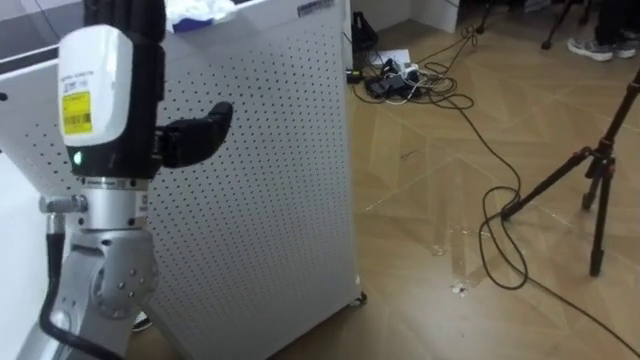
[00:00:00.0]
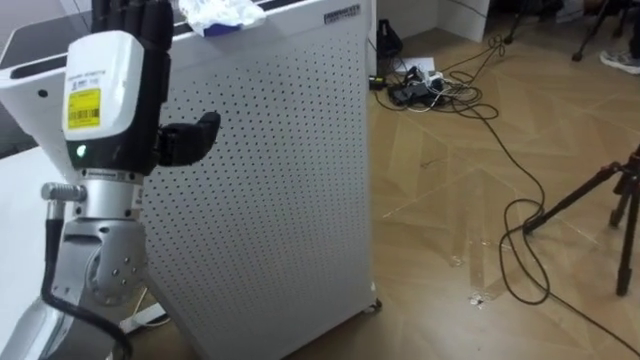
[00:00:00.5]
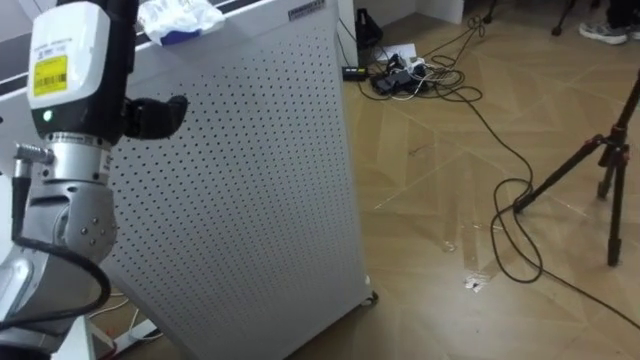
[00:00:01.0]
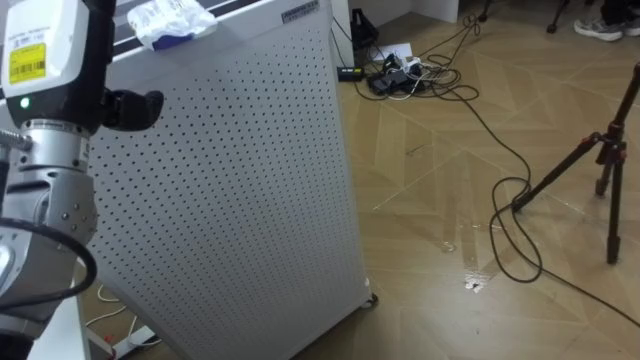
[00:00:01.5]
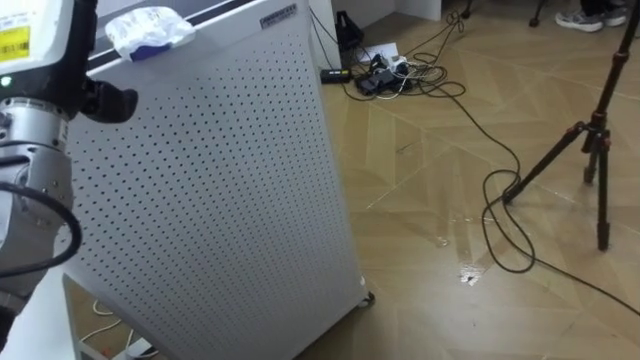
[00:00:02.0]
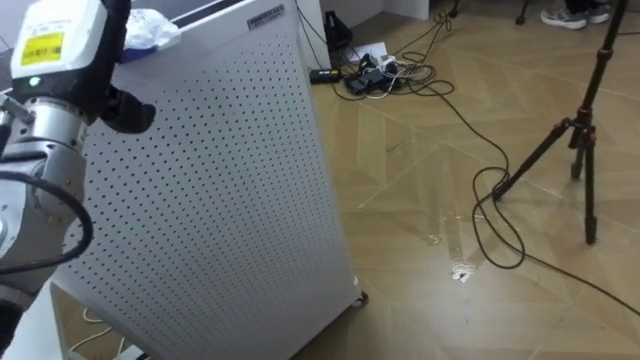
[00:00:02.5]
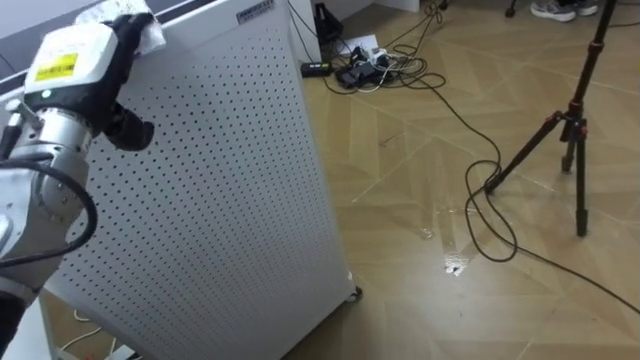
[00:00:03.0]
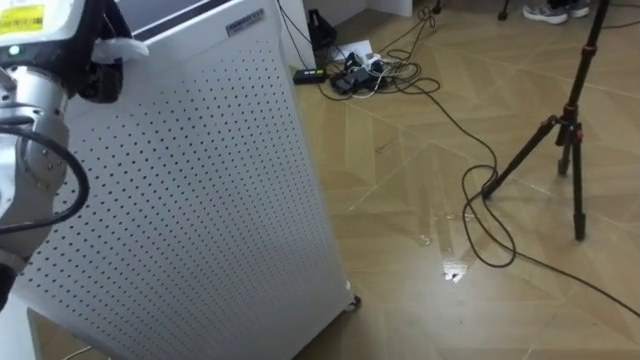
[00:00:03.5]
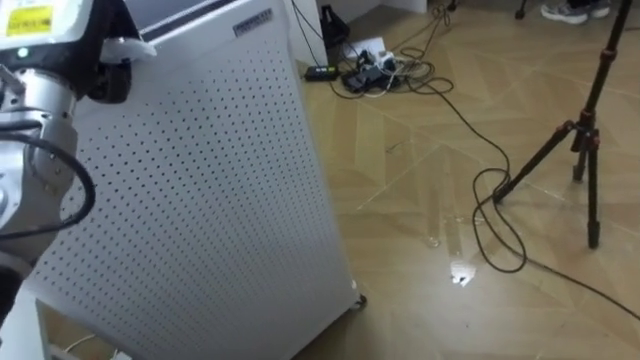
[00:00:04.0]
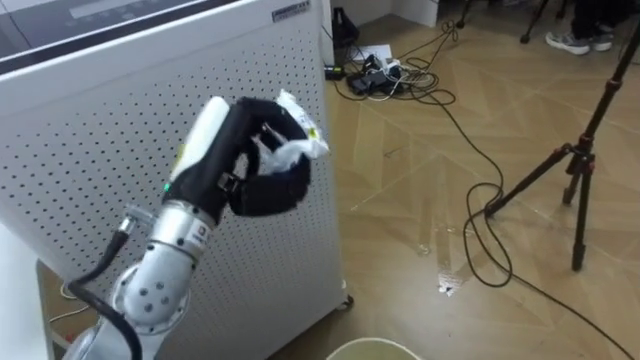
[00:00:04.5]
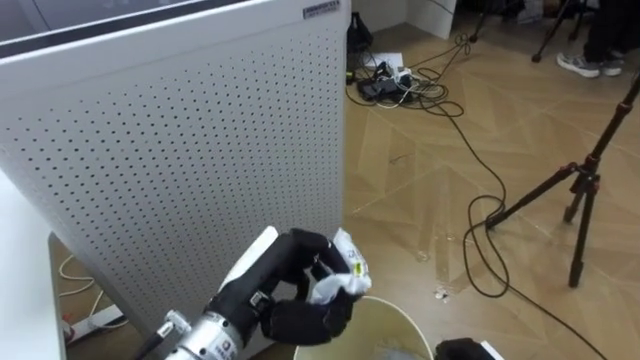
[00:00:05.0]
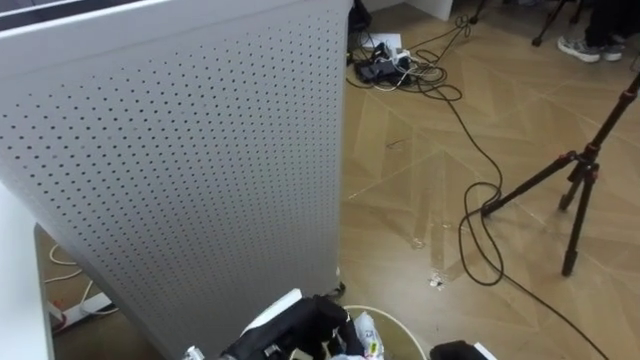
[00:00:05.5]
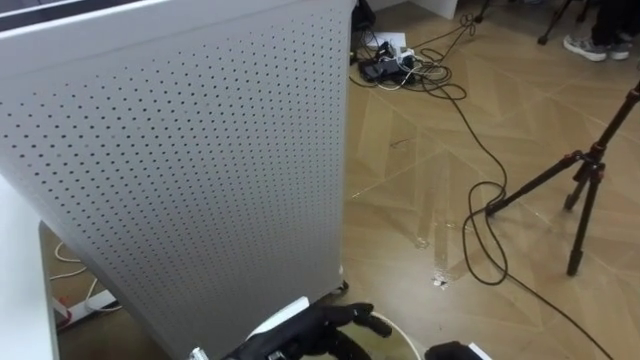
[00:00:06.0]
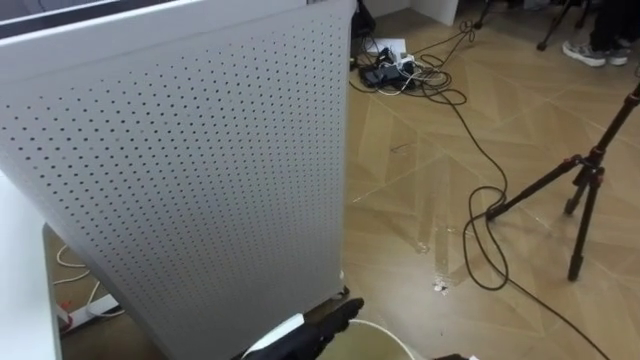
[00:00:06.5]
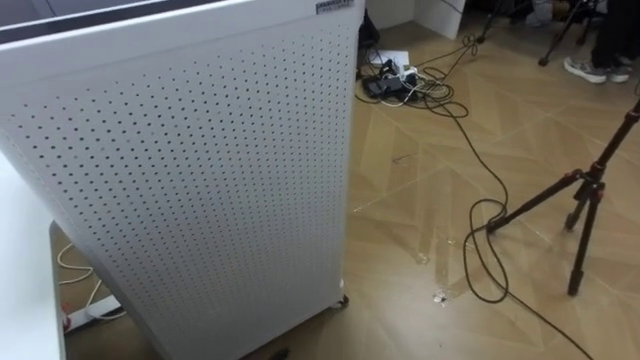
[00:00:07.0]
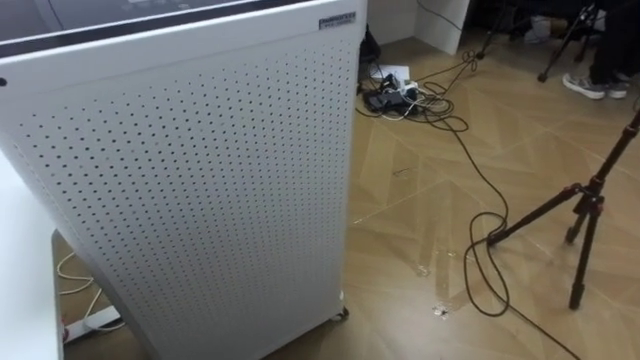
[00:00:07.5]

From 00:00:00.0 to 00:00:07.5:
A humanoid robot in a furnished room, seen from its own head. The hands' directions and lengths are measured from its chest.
Task of the whole recording: Pick up the light blue package, the candy box, and the dark blue package separately, and put them into the trash can held in your right hand.
From 00:00:00.0 to 00:00:02.0: The left hand heads to the left and forward, covering some 10 cm.
From 00:00:02.0 to 00:00:04.0: The left hand closes up.
From 00:00:04.0 to 00:00:05.5: The left hand travels downward, to the right and backward by roughly 35 cm.

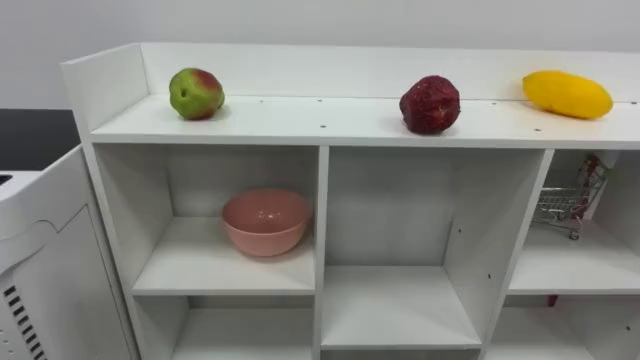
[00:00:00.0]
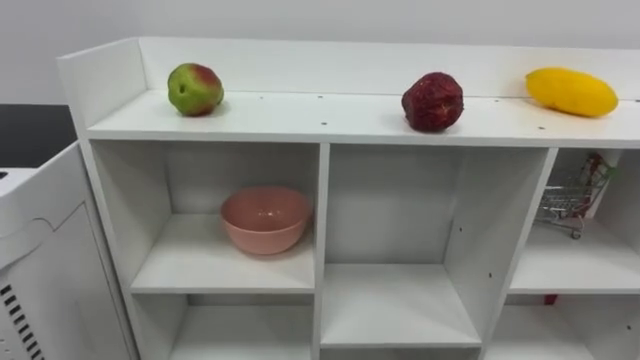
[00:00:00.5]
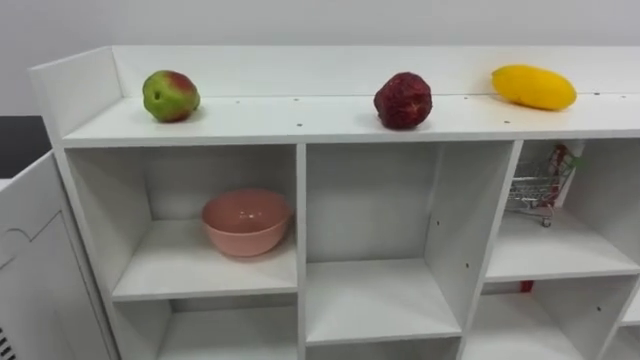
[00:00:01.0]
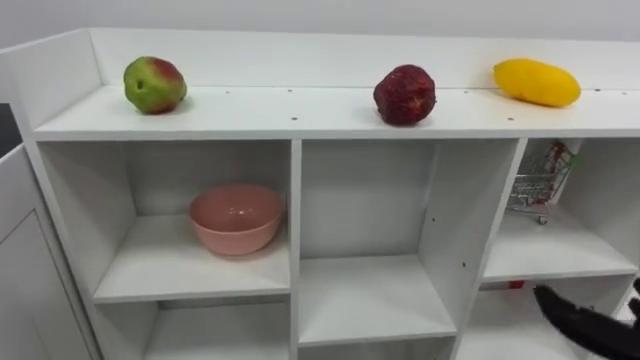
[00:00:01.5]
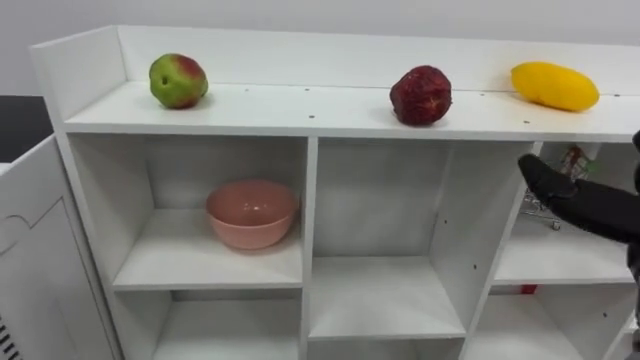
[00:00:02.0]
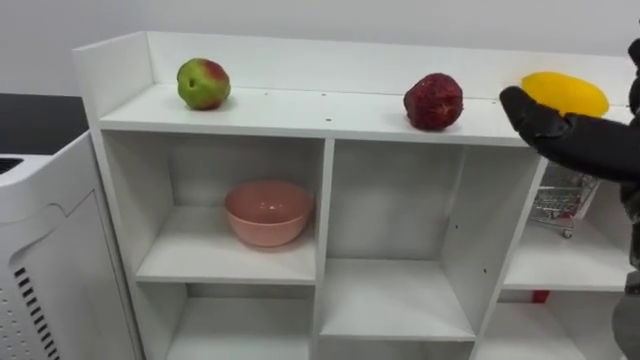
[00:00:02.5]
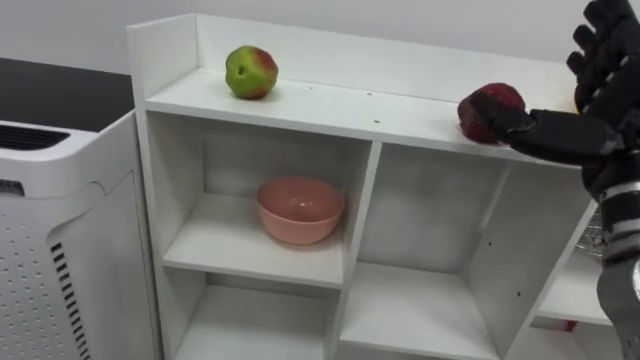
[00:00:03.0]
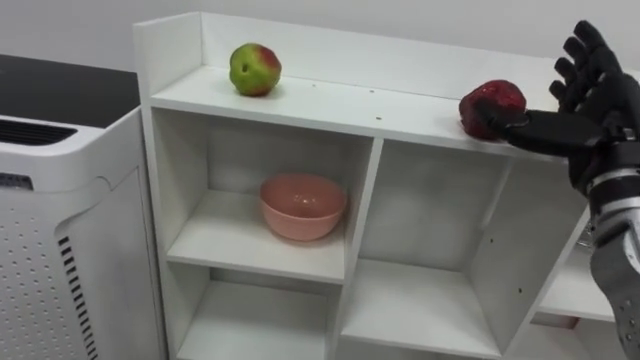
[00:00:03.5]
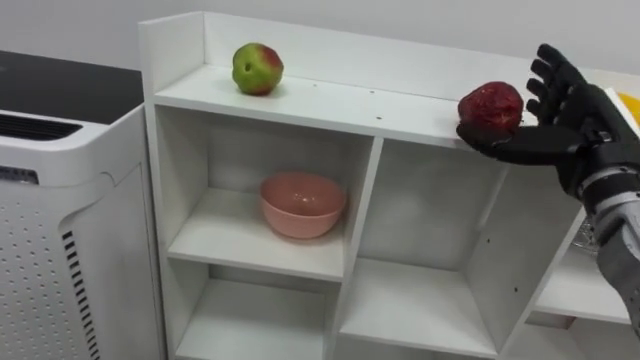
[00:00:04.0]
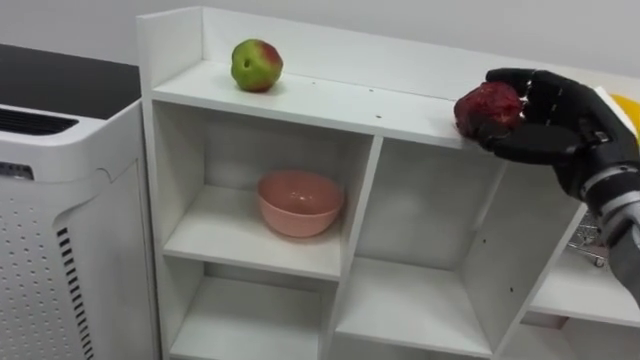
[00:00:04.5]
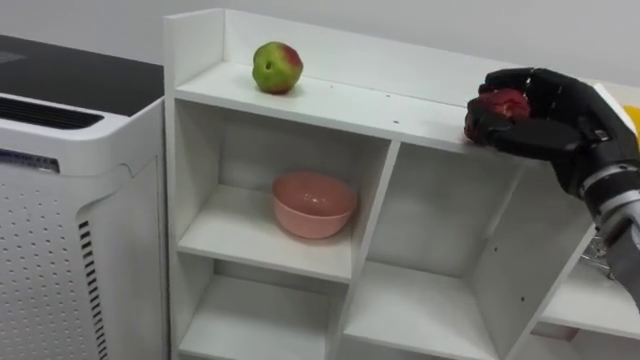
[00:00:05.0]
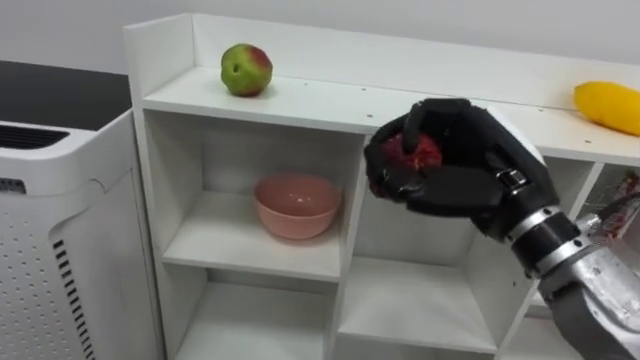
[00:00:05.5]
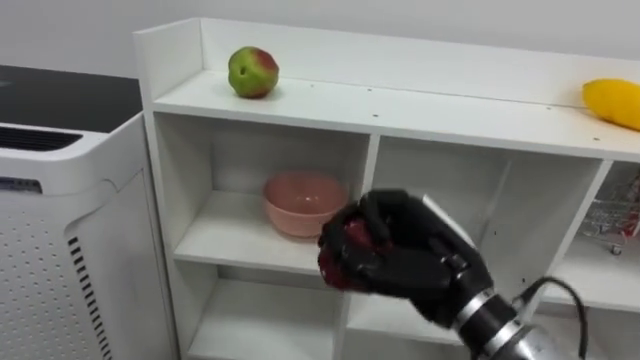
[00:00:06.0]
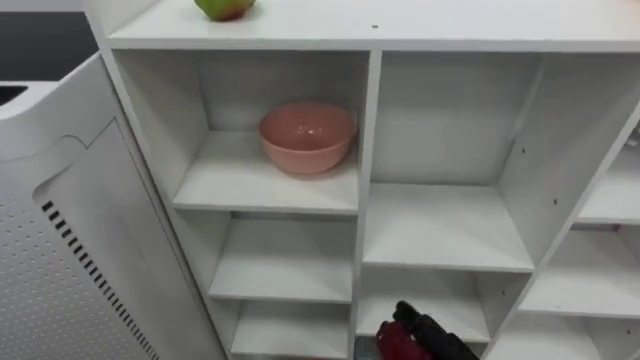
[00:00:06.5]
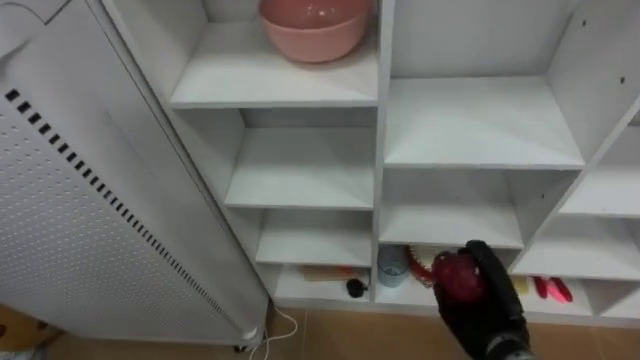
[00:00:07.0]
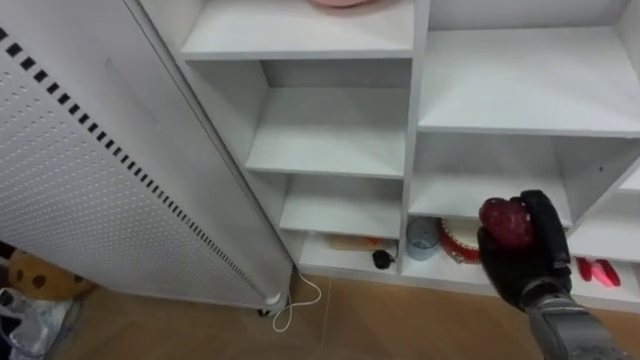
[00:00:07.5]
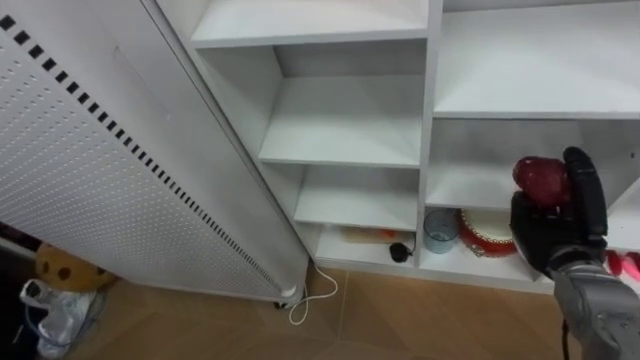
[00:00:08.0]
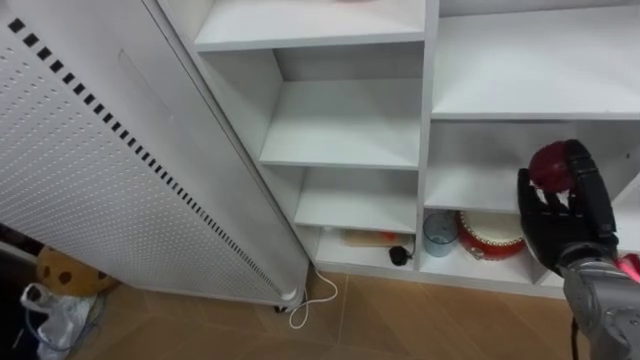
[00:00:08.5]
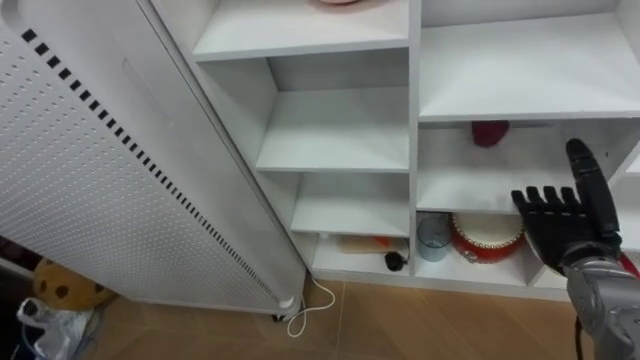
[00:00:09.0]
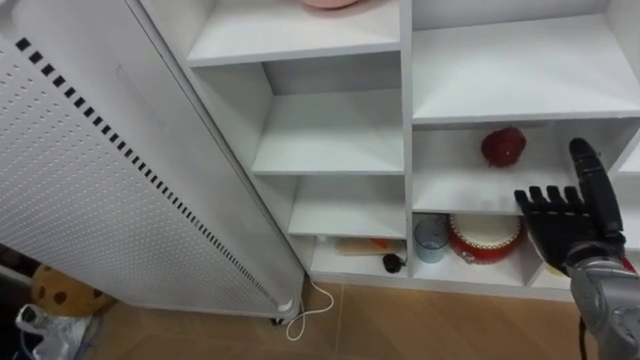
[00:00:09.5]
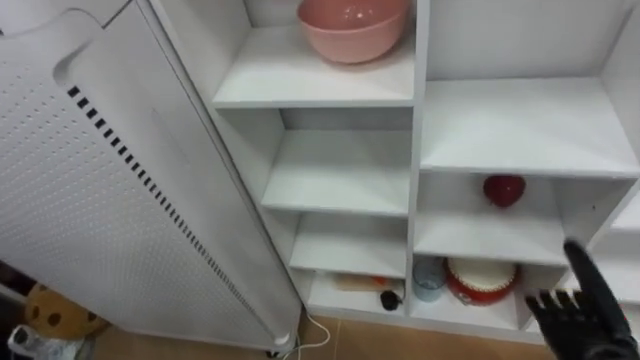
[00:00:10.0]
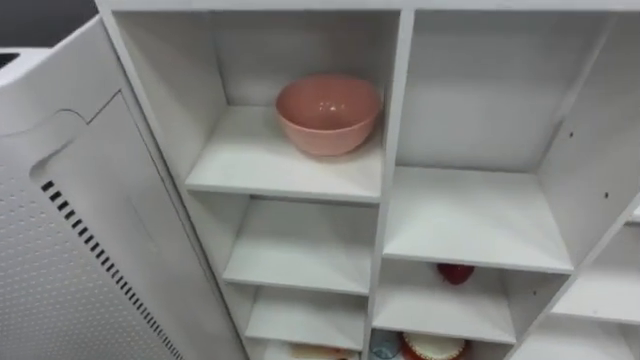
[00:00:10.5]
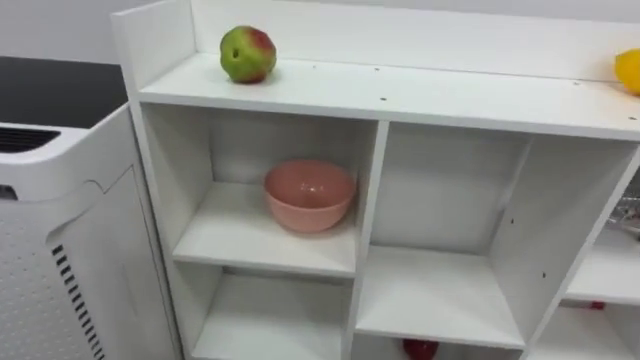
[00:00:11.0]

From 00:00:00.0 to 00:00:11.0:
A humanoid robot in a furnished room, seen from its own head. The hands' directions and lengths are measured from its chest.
Task of the whole recording: Put the apple in the cell in the second column from the left and the second row from the top.
From 00:00:03.5 to 00:00:05.5: The right hand heads to the left, covering about 10 cm, and closes its fingers.
From 00:00:07.5 to 00:00:09.0: The right hand ends up some 5 cm from where it was, and opens up.

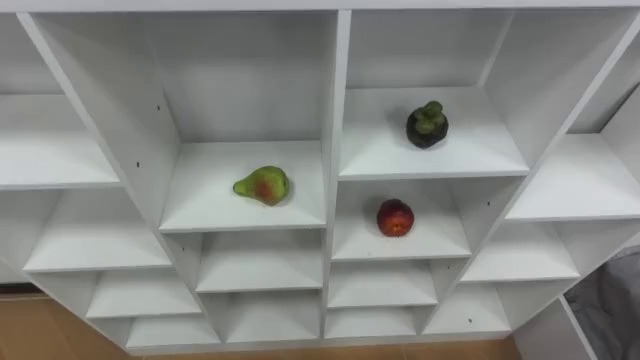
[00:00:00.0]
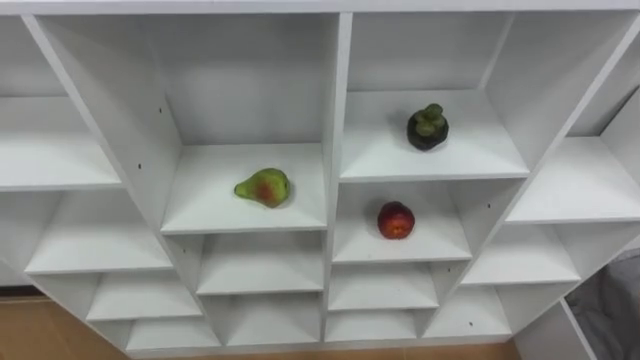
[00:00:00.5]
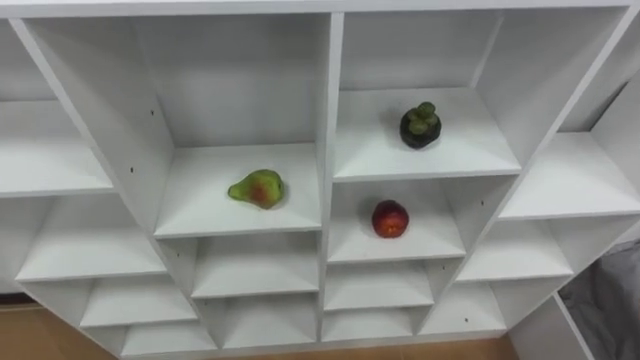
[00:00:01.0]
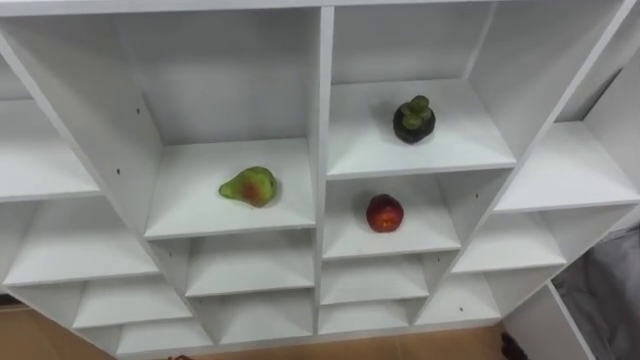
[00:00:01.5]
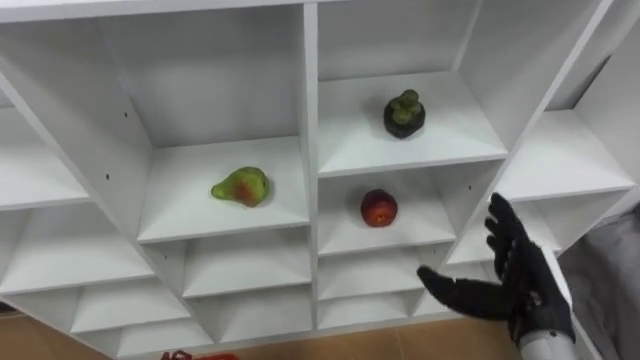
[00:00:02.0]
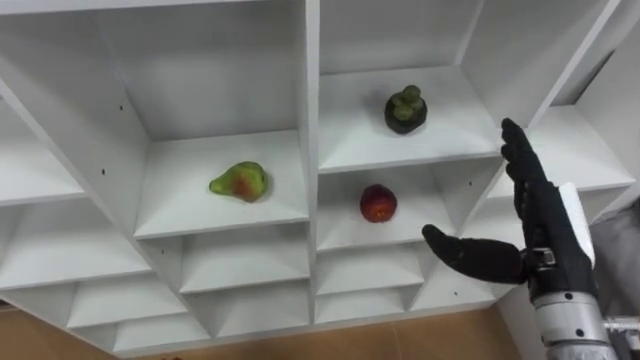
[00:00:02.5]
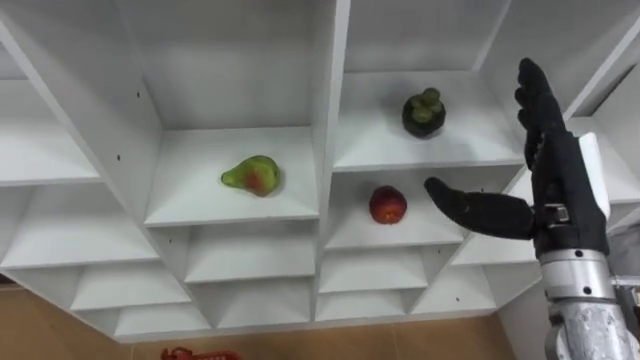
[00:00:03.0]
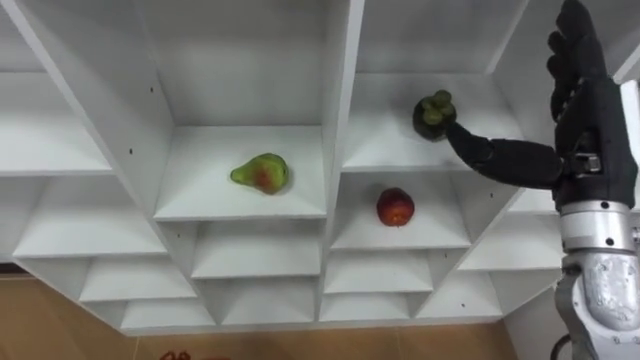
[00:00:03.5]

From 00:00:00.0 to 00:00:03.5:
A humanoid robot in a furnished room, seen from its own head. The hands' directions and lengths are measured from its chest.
Task of the whole recording: Hold the basket and collect the fruits from 3 different cells of the closet into it.
From 00:00:02.0 to 00:00:03.5: The right hand goes about 20 cm upward and forward.
